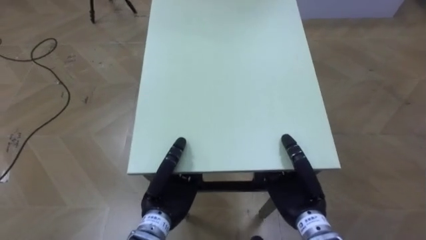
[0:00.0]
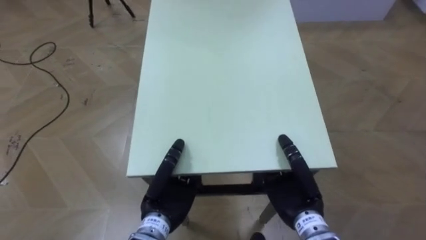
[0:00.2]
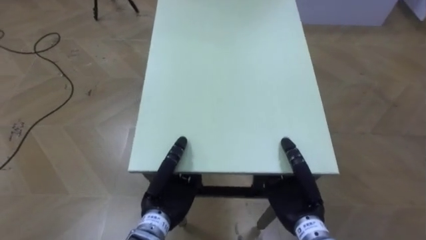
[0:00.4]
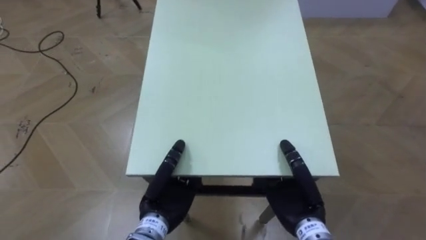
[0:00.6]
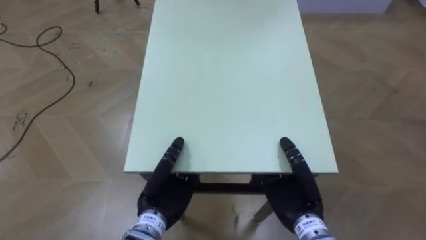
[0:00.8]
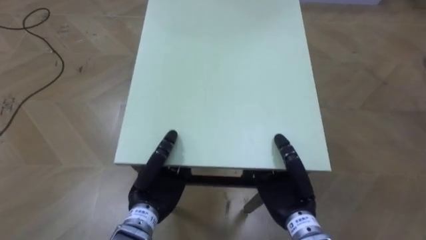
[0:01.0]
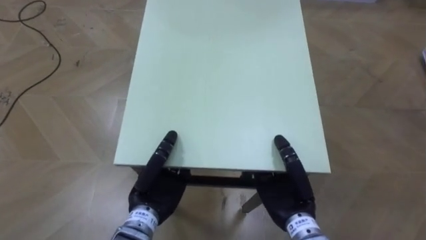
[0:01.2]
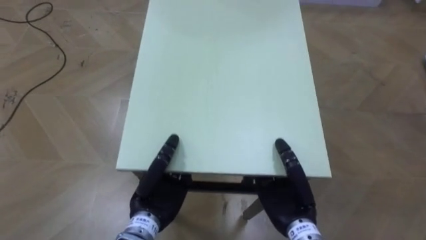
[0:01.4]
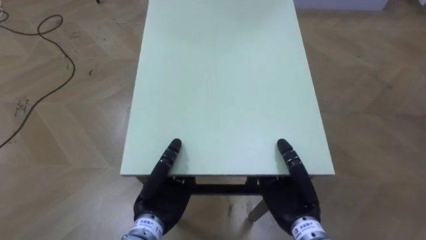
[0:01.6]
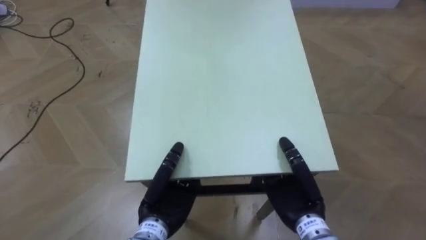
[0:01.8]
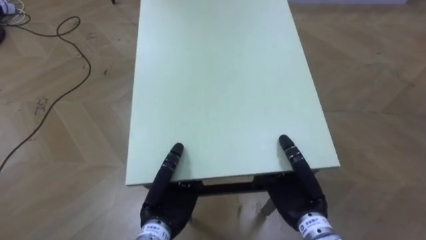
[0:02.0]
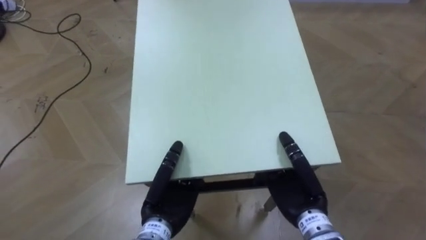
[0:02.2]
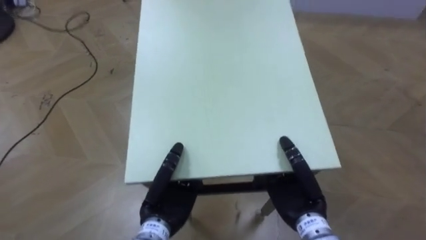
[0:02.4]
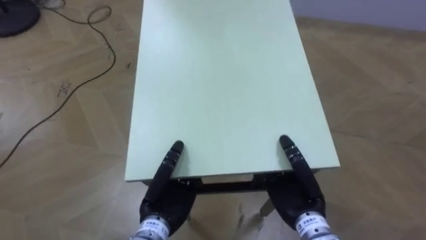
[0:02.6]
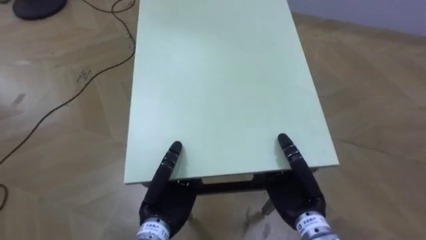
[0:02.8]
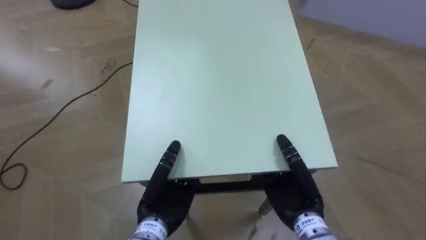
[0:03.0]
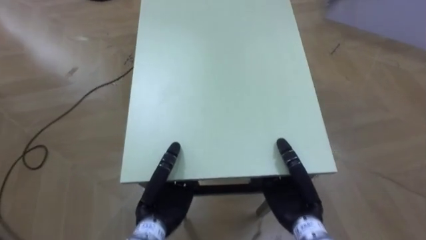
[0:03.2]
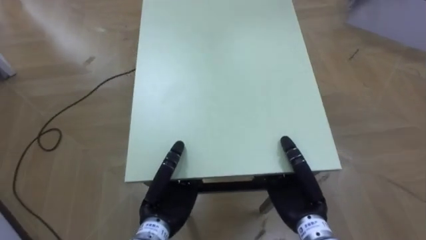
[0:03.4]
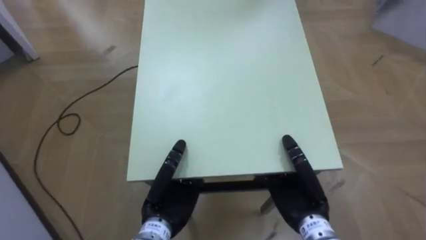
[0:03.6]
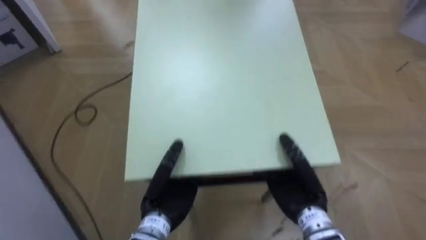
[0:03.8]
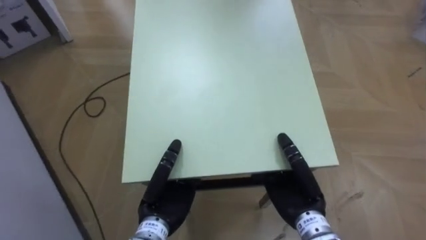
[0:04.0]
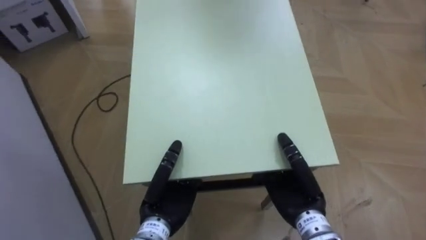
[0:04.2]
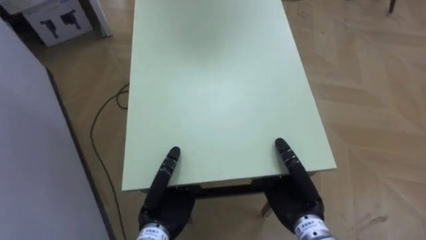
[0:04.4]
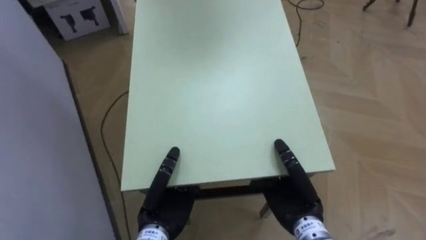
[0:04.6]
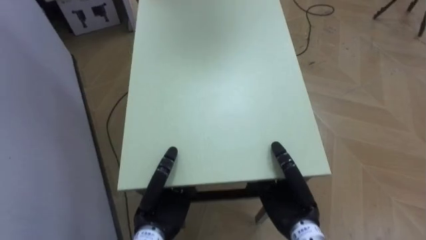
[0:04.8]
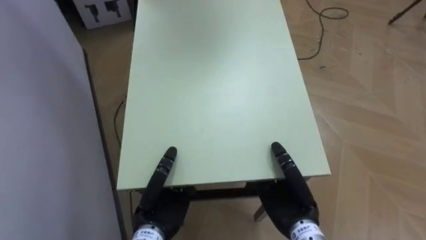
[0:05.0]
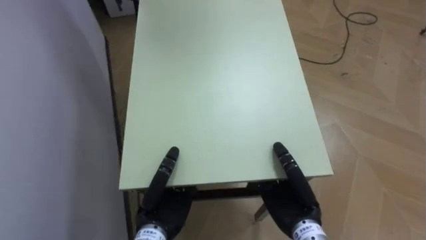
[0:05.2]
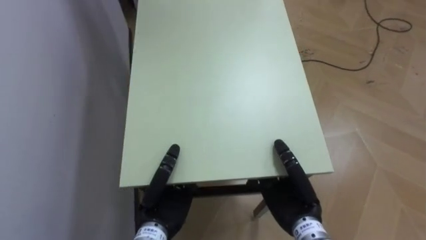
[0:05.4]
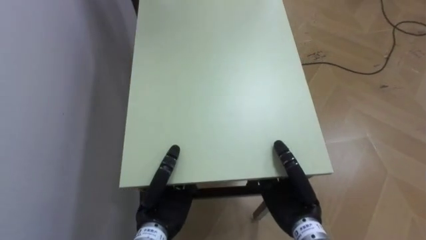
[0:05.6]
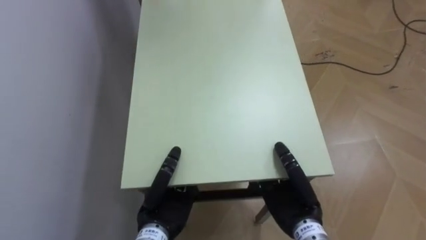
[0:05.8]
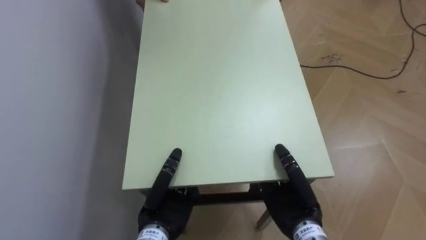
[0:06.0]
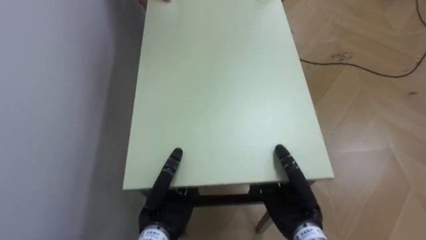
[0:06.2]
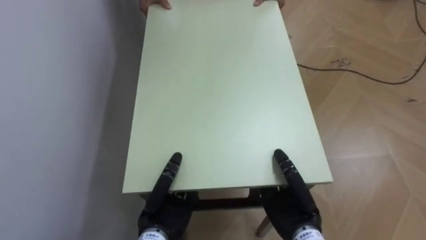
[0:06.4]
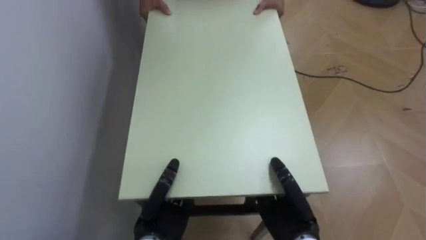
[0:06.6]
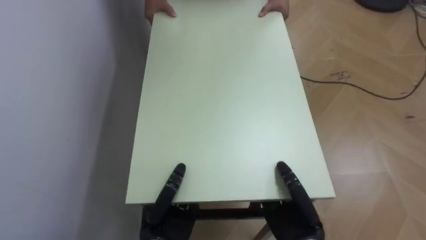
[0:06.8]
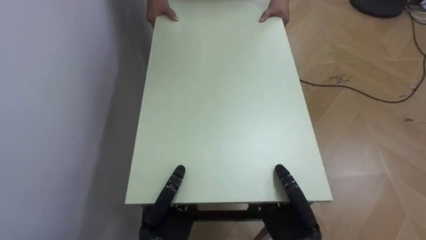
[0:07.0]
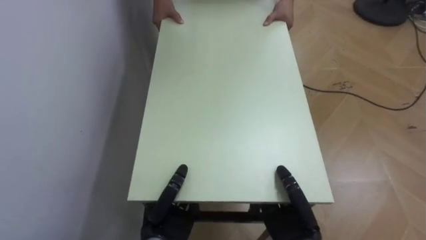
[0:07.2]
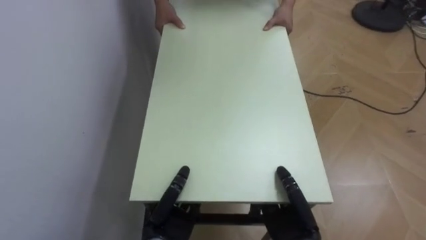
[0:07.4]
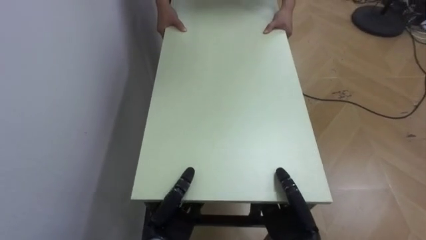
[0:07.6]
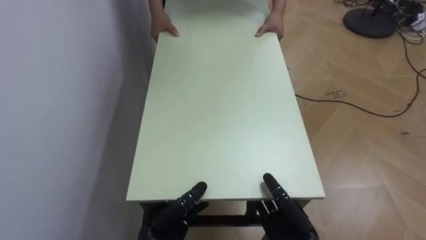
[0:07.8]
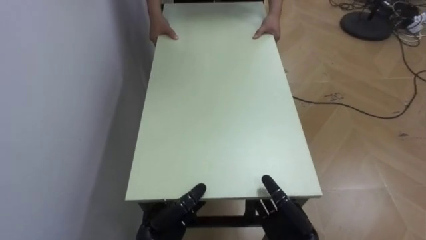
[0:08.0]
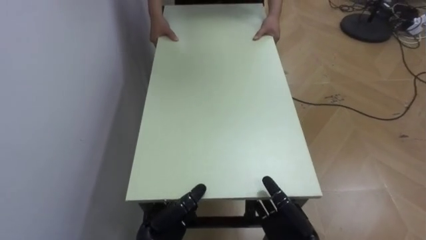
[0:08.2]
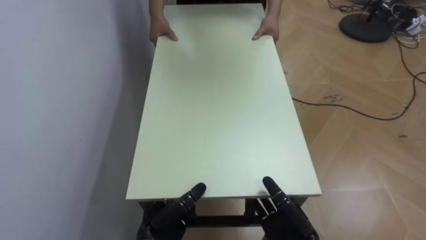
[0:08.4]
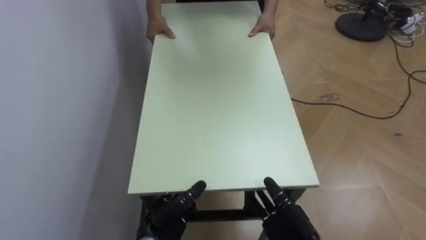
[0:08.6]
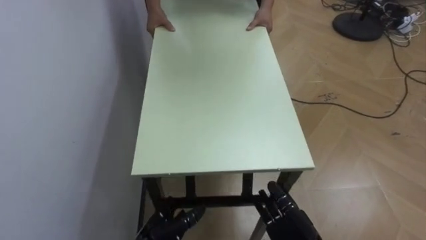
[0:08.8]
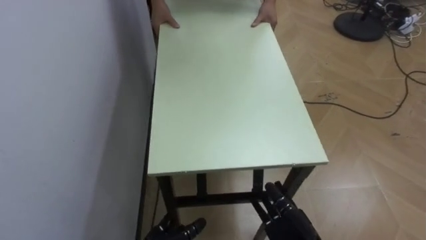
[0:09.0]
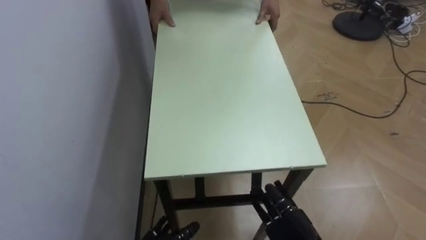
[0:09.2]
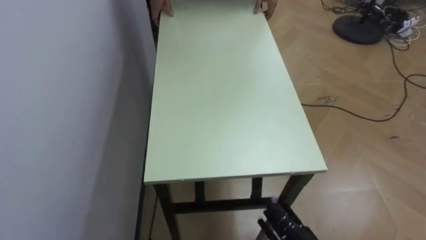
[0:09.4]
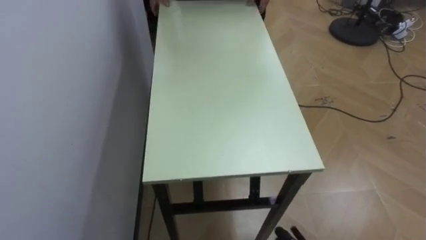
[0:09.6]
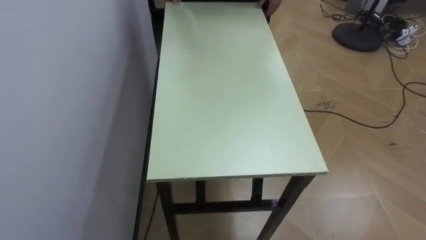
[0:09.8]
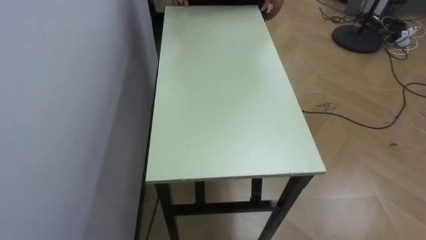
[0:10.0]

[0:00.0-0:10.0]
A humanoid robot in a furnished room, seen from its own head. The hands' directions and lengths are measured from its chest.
Task of the whole recording: Move the table to the back left with someone.
0:02.8 to 0:04.2: The robot rotates approximately 40 degrees to its left.
0:04.2 to 0:05.8: The robot's body swings about 30 degrees to its left.
0:05.8 to 0:07.2: The right hand shifts by approximately 5 cm.
0:07.2 to 0:08.6: The left hand opens its fingers, while the right hand opens.

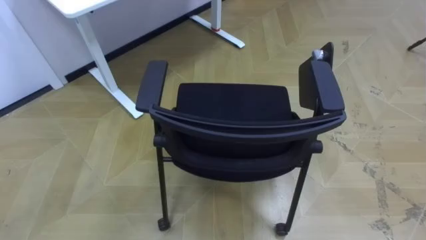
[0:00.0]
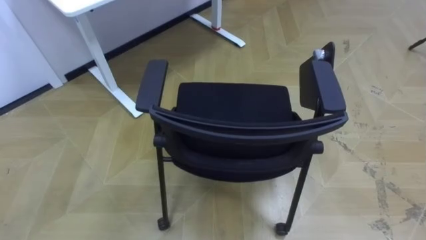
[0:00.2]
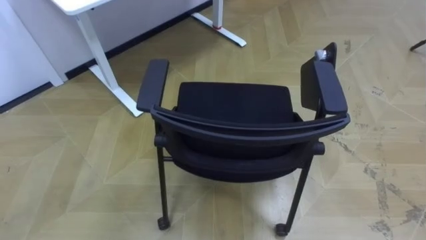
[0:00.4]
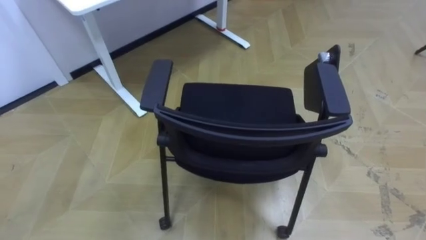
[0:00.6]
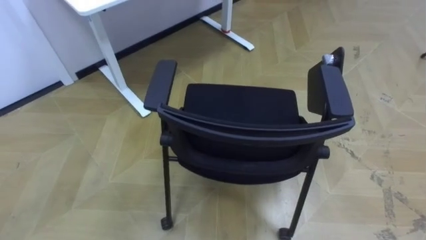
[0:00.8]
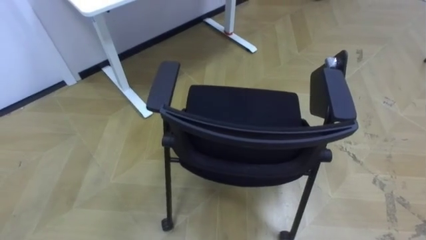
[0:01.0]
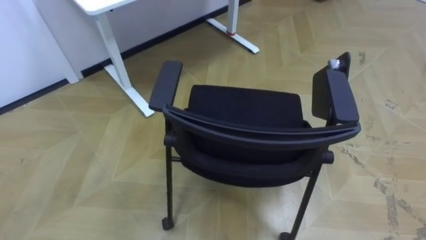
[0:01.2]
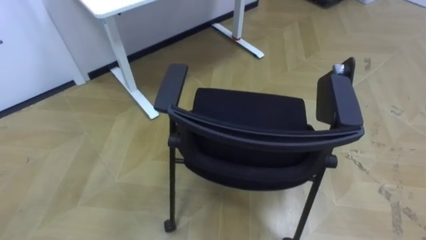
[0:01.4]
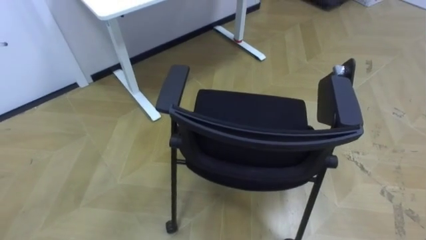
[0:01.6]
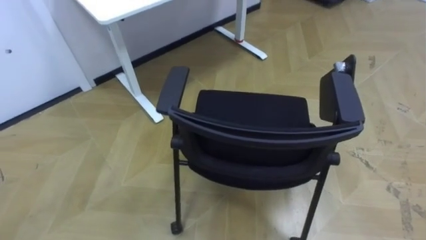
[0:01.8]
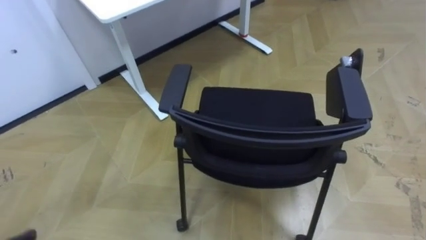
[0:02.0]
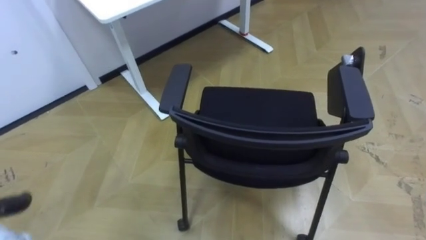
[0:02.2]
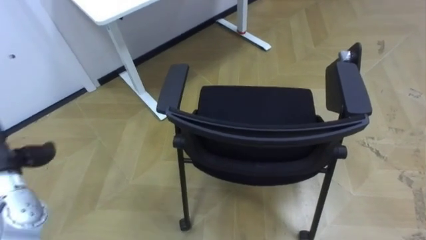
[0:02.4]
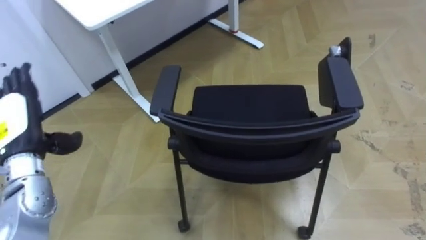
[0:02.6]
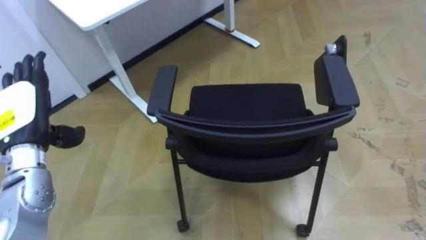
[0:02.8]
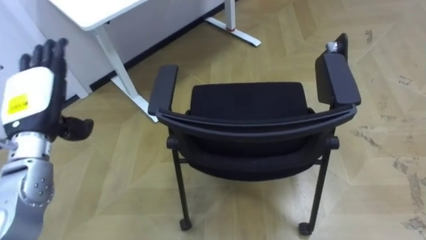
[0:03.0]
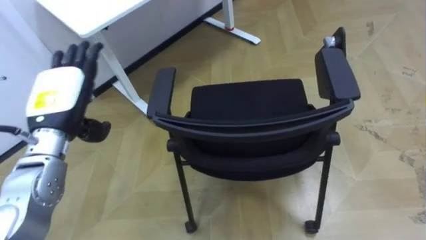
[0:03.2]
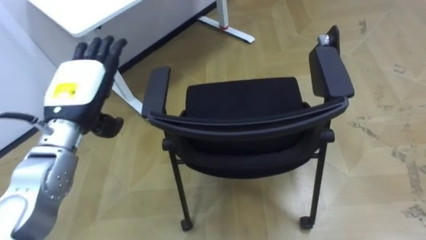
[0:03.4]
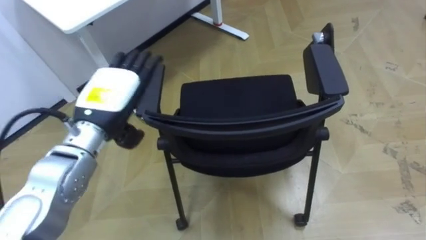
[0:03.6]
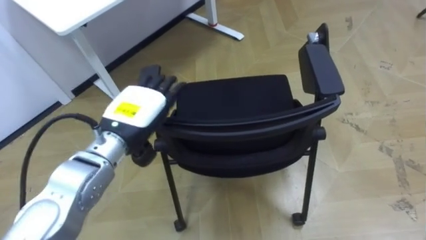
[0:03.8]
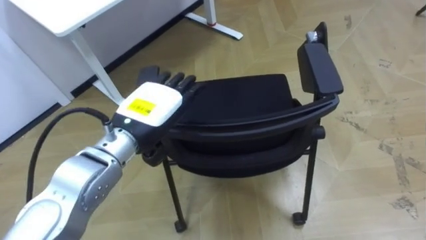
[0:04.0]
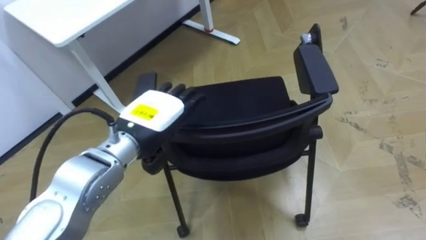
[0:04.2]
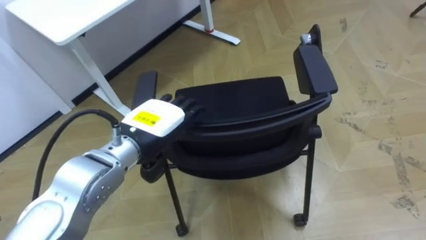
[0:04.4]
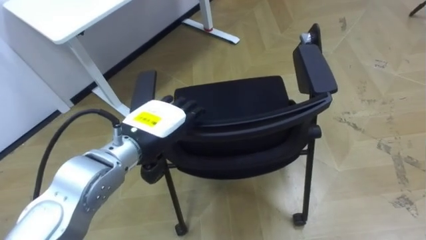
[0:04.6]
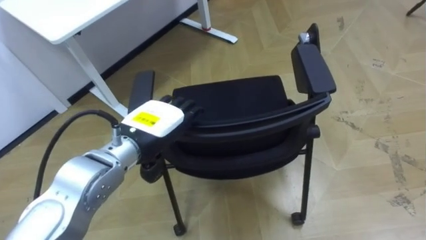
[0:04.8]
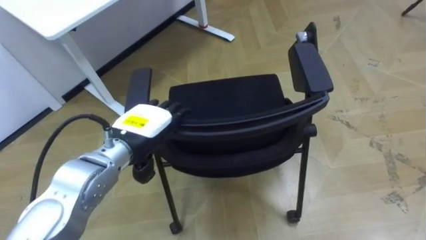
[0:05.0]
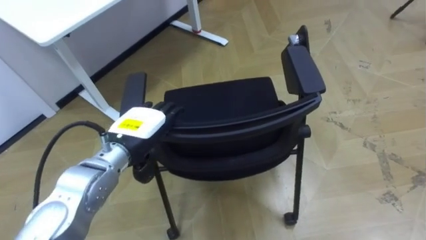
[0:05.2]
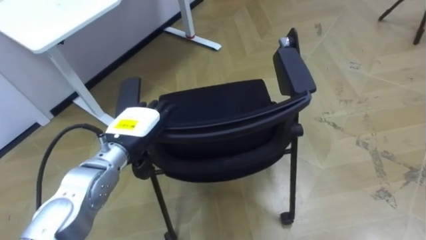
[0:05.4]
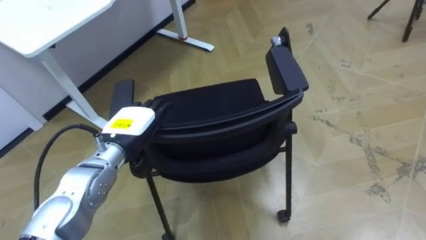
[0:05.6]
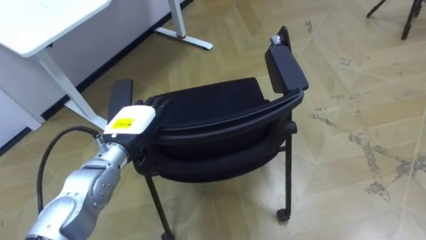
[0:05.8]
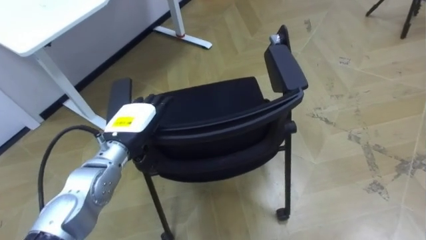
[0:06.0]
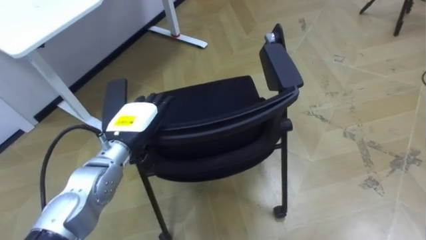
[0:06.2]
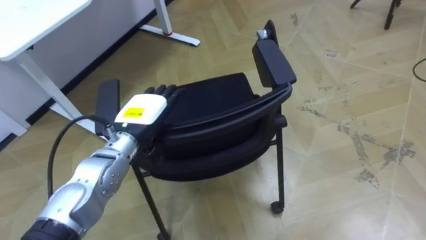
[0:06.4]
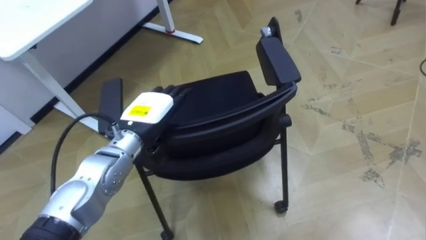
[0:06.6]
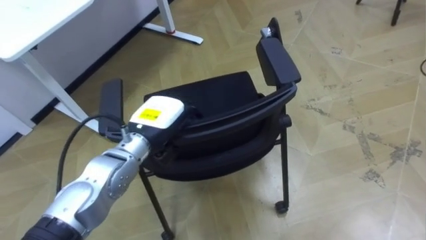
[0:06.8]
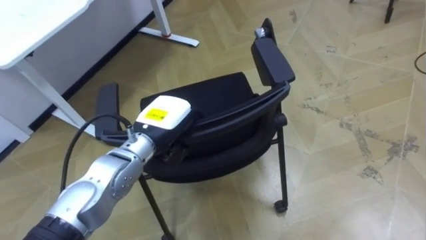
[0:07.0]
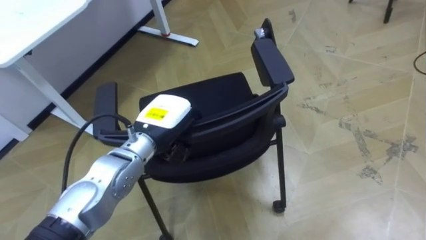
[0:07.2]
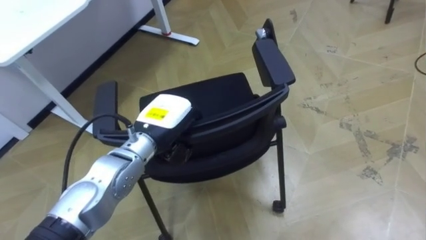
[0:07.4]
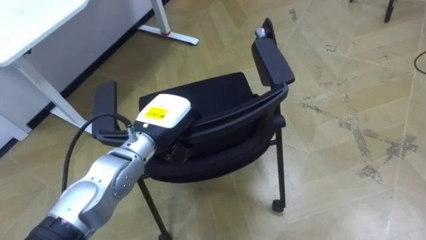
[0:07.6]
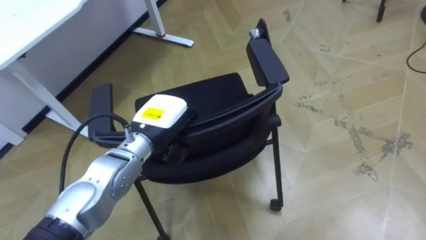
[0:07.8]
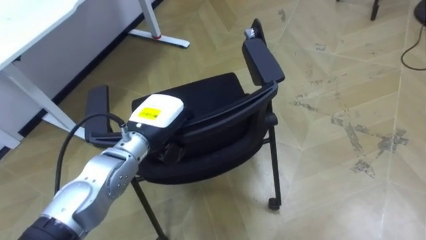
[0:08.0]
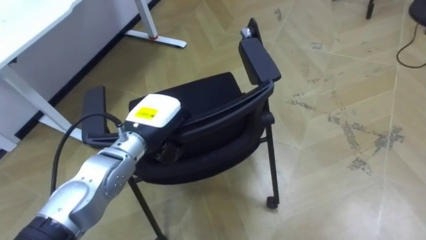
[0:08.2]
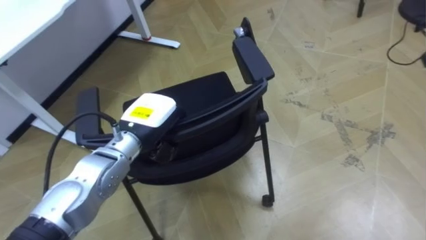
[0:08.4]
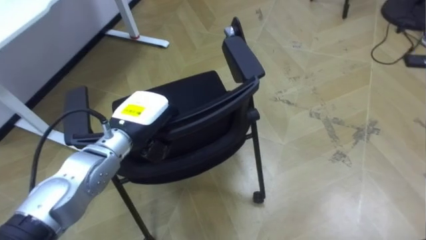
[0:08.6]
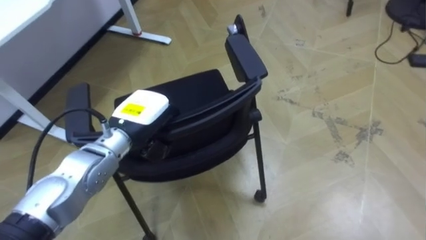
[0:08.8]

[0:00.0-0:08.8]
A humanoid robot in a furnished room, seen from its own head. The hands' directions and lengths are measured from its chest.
Task of the whole recording: Push the chair under the table.
0:03.0 to 0:04.4: The left hand travels to the right by approximately 20 cm.
0:04.4 to 0:05.8: The left hand travels downward by roughly 5 cm.
0:05.8 to 0:07.4: The left hand moves to the right, approximately 5 cm, and closes its fingers.
